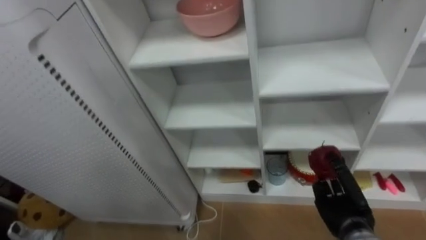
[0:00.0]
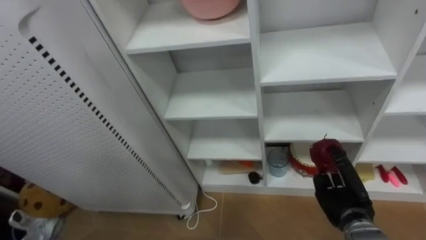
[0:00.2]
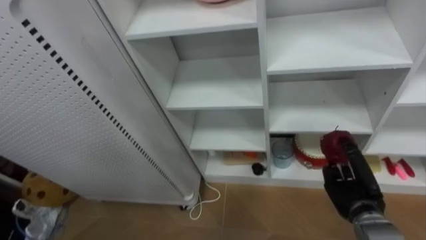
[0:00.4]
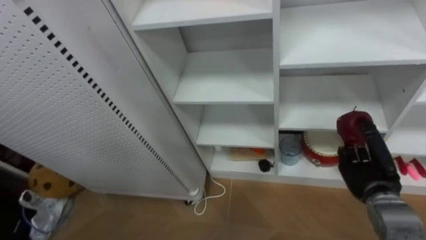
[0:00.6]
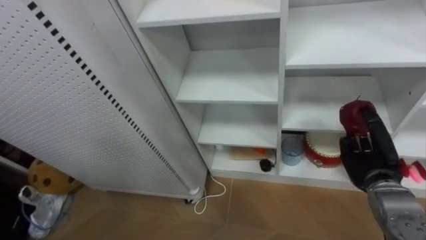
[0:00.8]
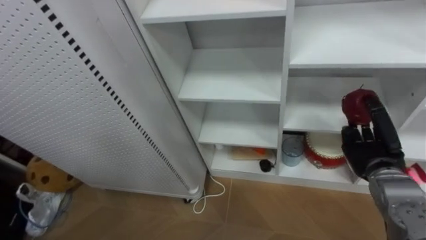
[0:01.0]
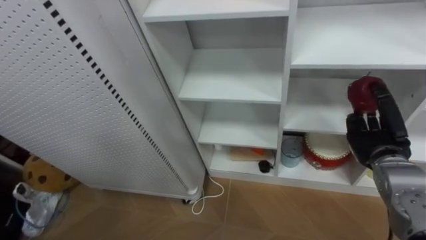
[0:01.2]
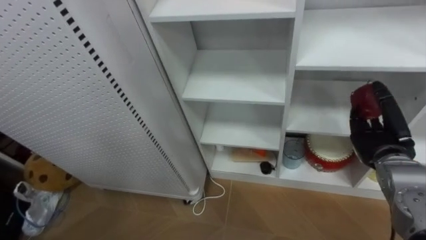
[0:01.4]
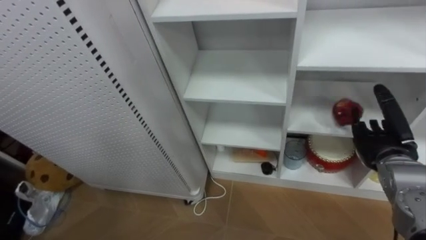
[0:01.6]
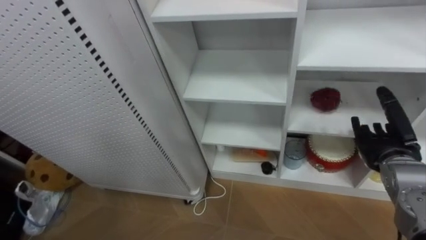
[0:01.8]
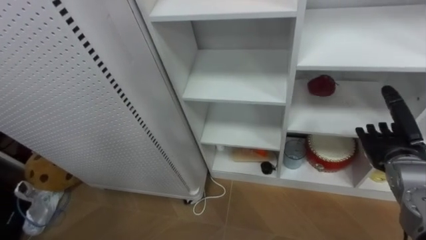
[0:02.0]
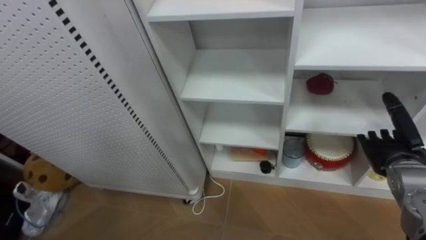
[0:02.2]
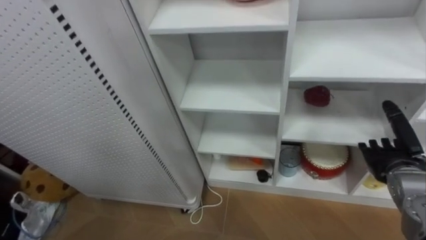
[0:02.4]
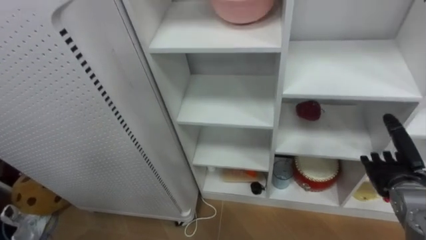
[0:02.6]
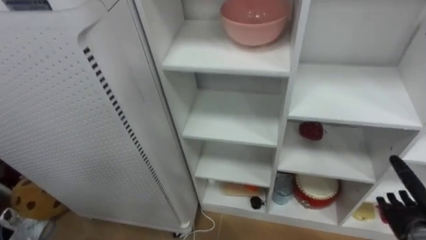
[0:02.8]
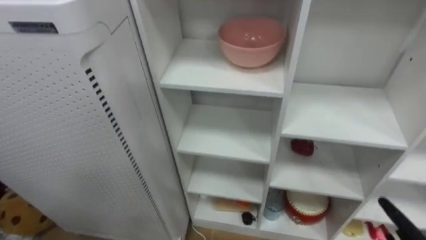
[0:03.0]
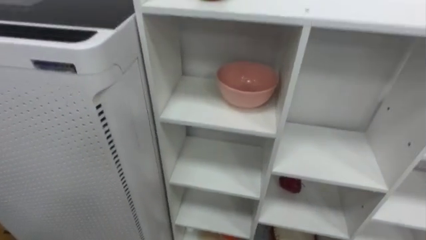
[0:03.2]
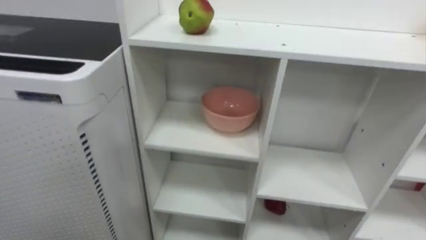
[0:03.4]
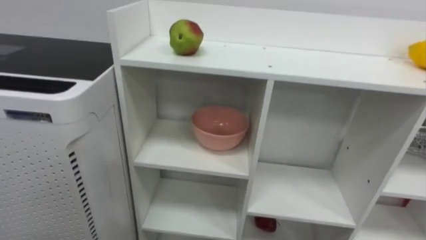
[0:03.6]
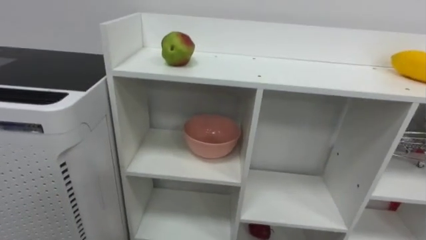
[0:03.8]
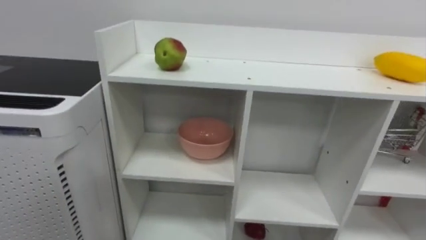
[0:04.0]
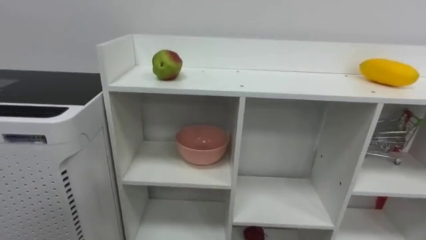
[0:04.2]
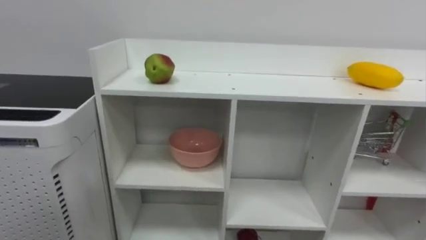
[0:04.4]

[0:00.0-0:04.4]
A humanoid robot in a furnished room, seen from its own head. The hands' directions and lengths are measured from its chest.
Task of the whole recording: Put the apple in the cell in the second column from the left and the second row from the top.
0:00.0 to 0:01.4: The right hand goes some 15 cm upward, to the right and forward.

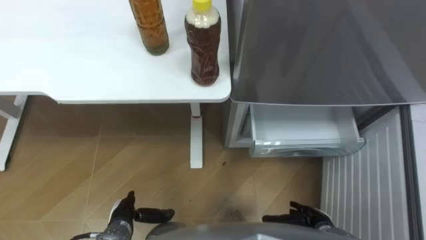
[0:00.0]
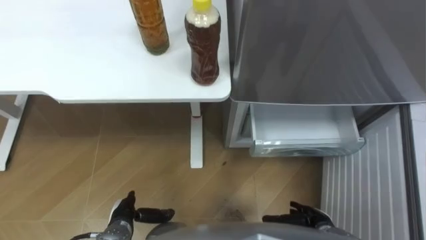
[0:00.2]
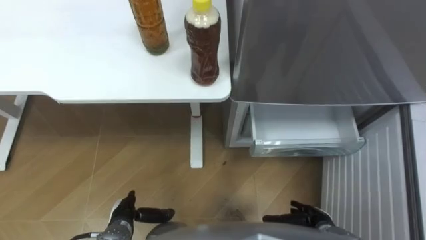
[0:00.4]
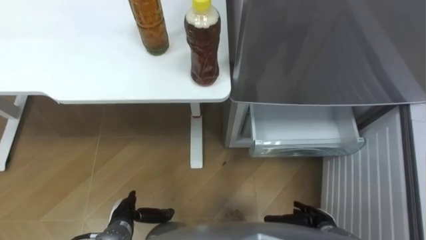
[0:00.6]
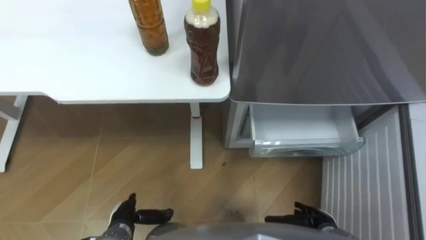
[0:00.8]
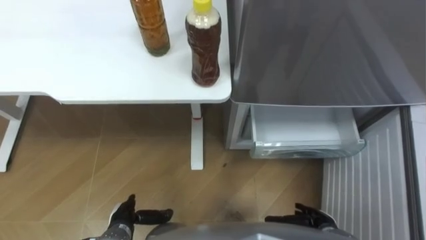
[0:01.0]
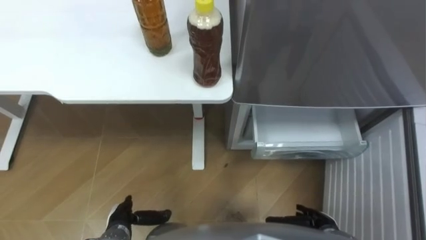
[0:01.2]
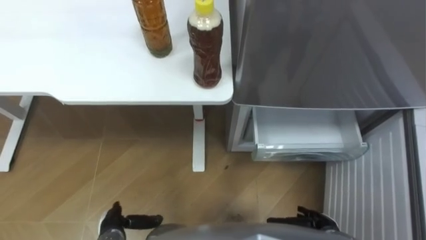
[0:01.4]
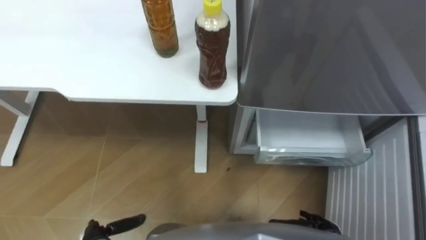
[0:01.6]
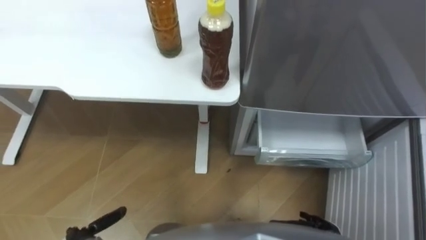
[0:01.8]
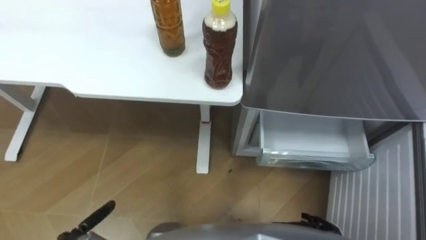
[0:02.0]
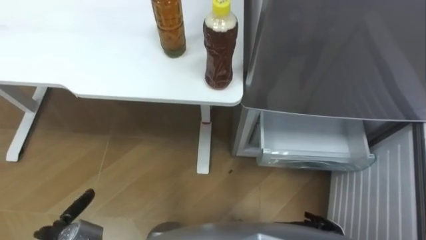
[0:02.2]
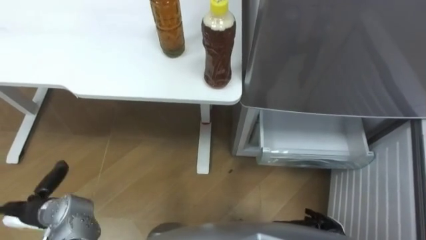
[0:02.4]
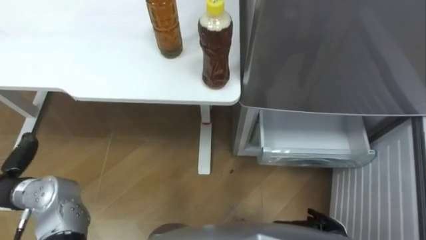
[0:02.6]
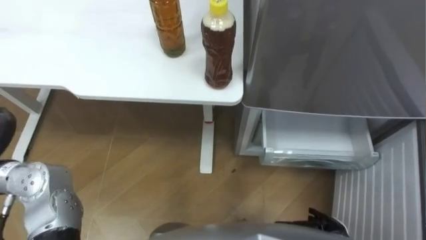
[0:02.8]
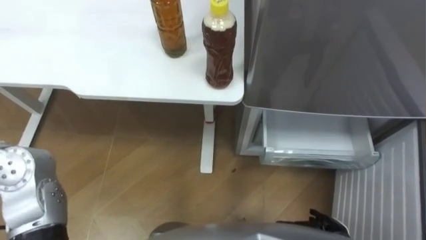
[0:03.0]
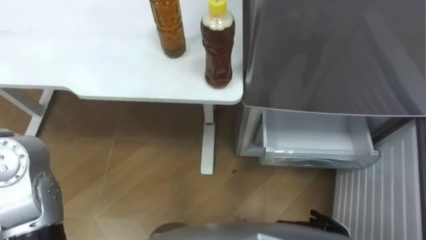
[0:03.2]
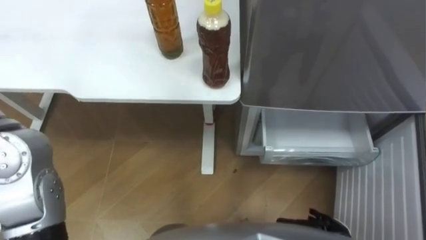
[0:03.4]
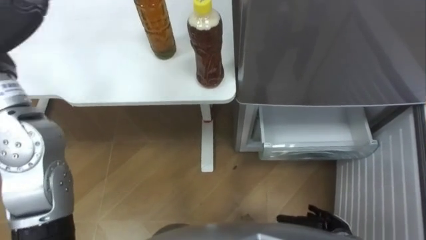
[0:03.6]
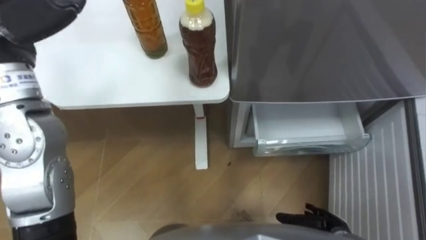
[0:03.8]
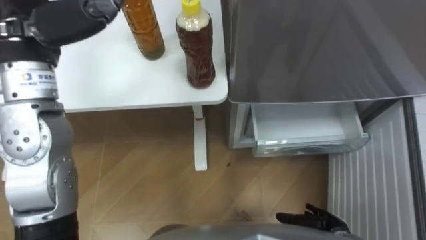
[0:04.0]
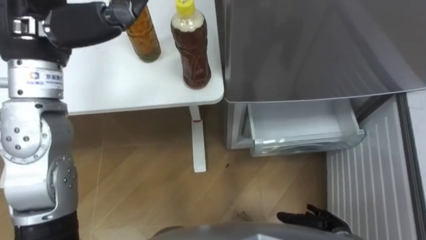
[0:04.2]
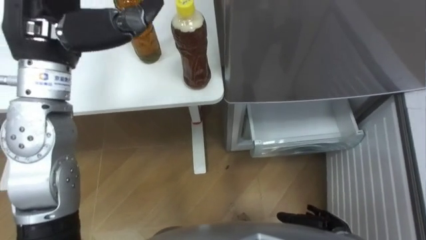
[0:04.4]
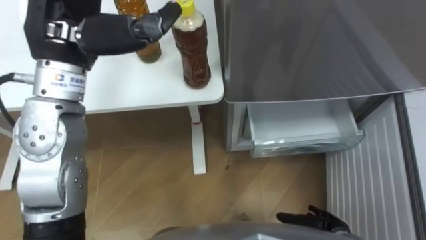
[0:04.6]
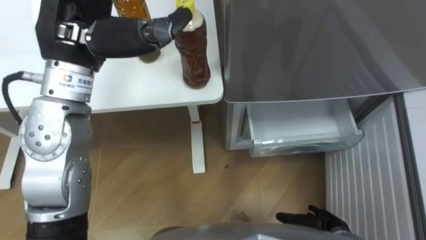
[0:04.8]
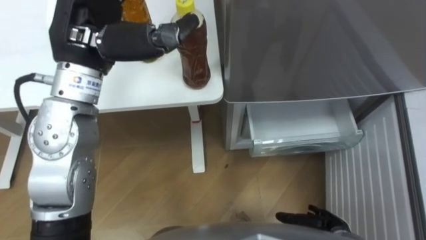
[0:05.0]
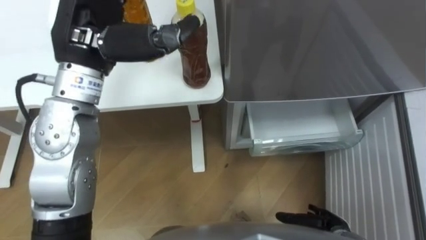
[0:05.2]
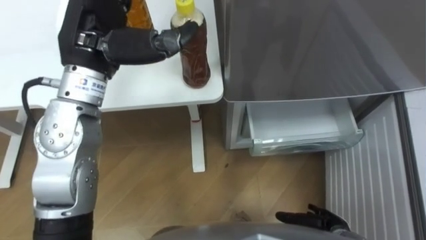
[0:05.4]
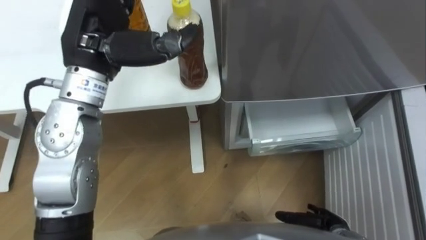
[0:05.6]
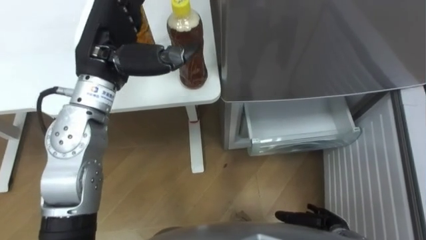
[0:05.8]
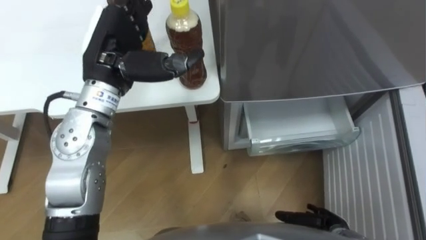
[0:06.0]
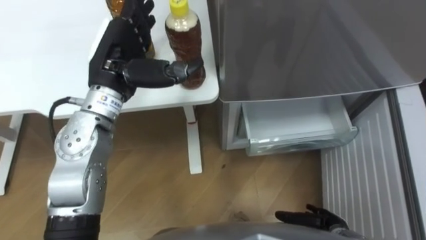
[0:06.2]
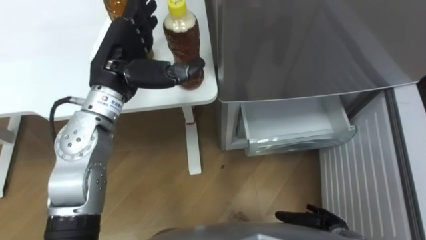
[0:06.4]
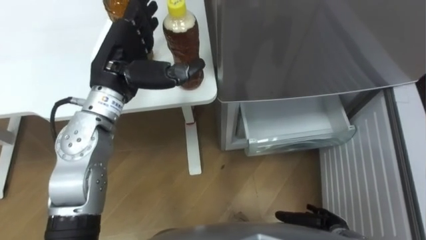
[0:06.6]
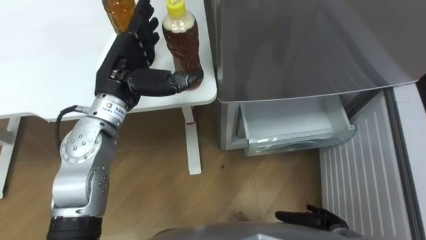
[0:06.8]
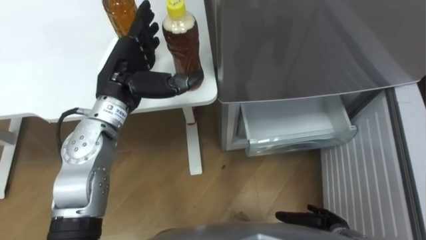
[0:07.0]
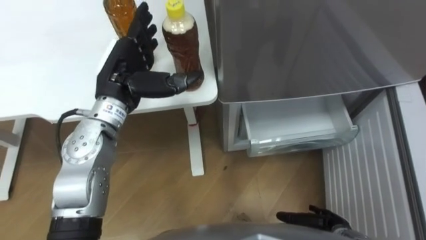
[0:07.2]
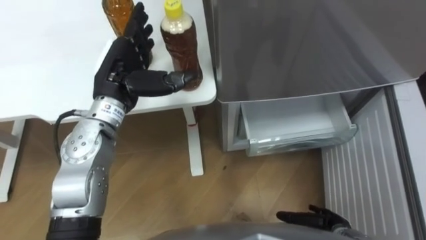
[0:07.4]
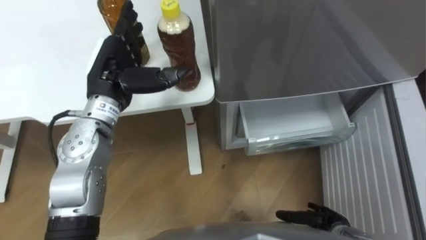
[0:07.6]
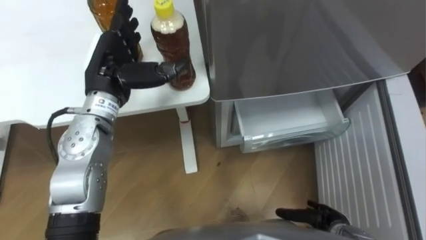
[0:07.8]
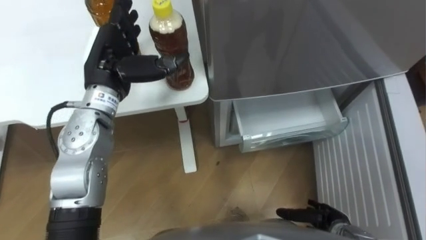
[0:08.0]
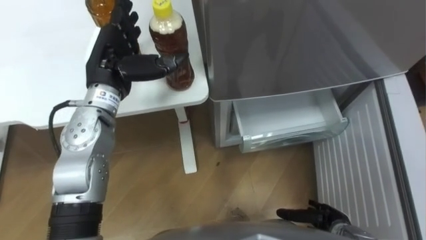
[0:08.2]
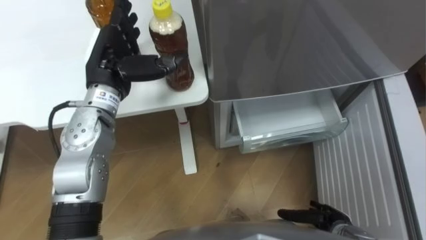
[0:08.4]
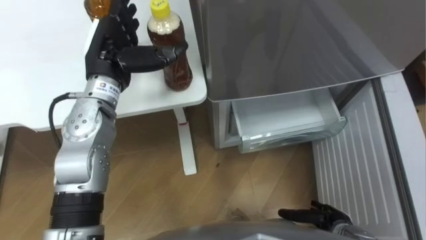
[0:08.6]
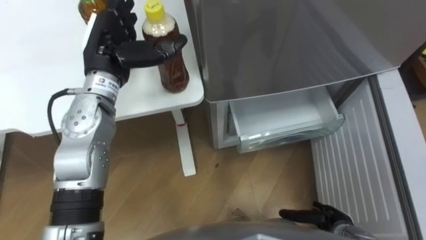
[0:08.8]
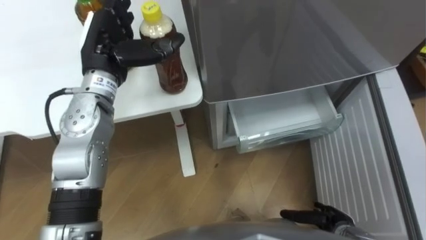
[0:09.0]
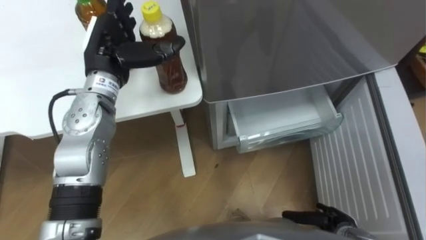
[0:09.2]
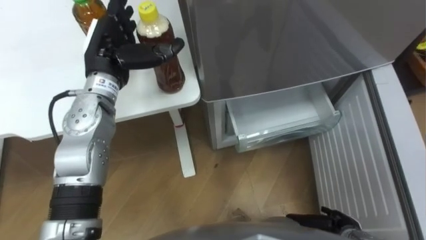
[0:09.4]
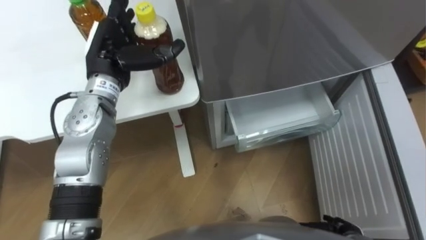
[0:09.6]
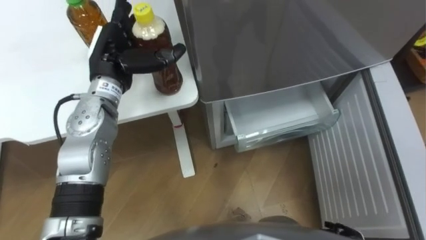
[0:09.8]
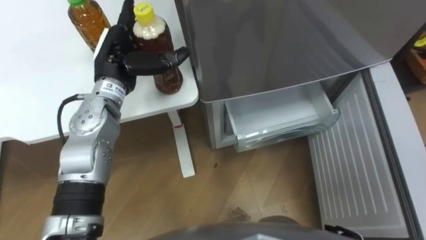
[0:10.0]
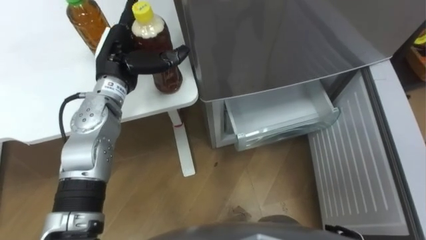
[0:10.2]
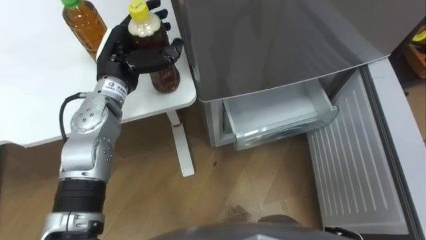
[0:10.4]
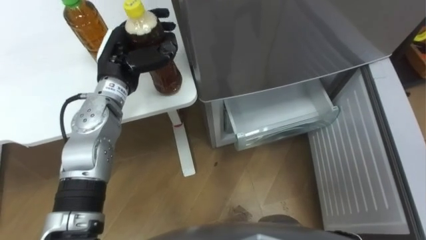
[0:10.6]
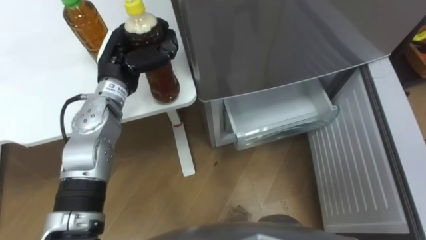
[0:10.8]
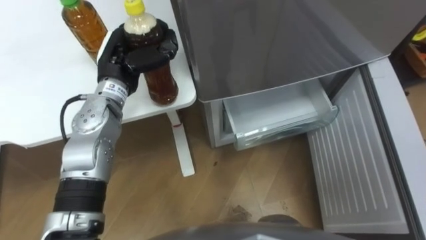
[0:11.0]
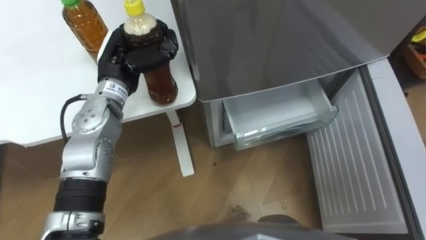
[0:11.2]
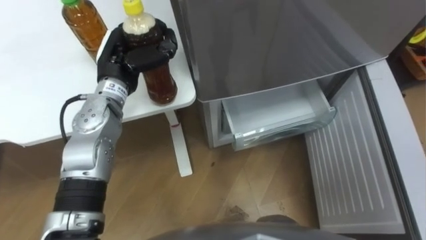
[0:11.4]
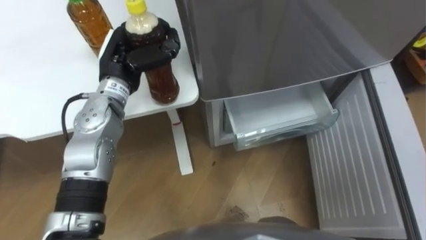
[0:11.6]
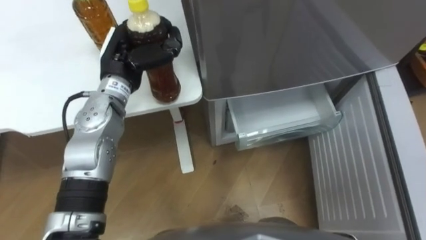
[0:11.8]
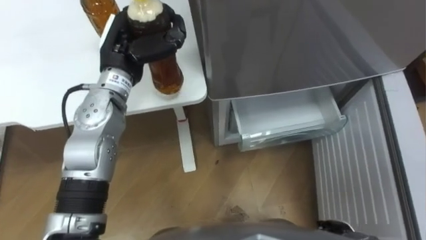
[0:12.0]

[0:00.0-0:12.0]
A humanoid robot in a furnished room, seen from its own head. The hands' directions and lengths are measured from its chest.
Task of the whole recording: Place the drink on the table on the bottom shelf of the refrigerator, then close the drawer and the refrigerator door.
0:04.4 to 0:06.0: The left hand travels downward by about 10 cm.
0:06.0 to 0:07.6: The left hand heads downward, covering roughly 5 cm.
0:10.4 to 0:12.0: The left hand closes its fingers.
